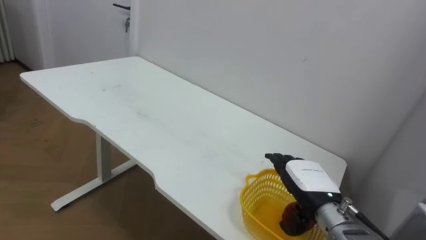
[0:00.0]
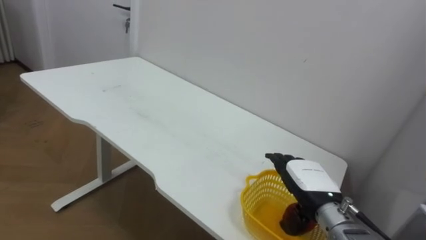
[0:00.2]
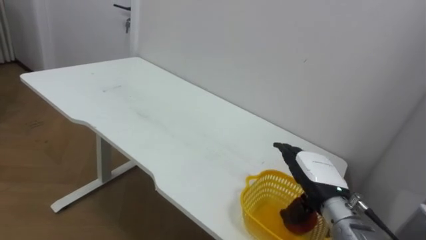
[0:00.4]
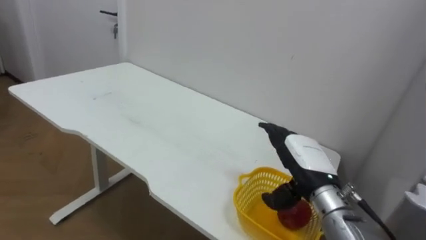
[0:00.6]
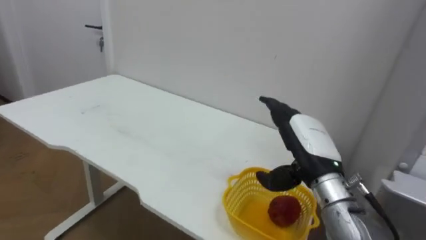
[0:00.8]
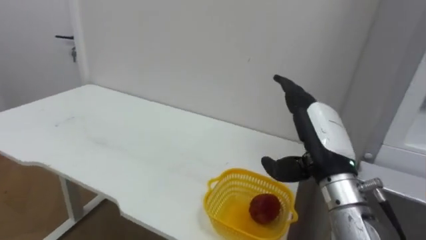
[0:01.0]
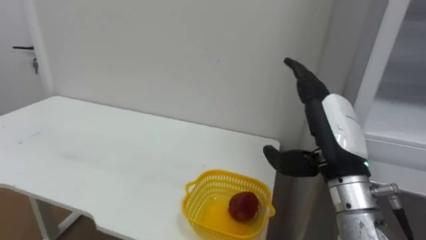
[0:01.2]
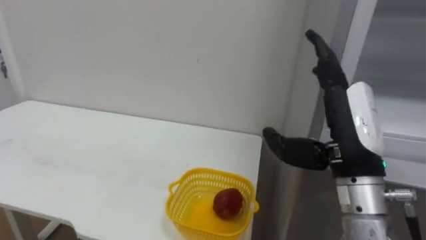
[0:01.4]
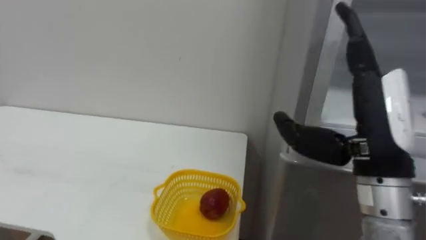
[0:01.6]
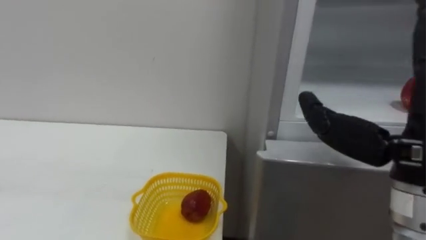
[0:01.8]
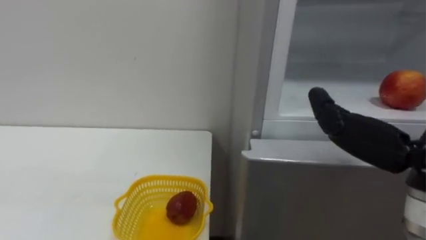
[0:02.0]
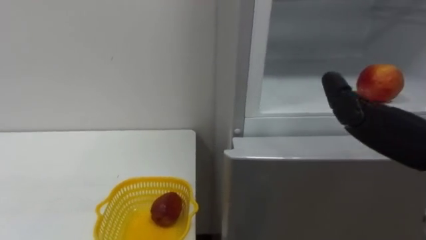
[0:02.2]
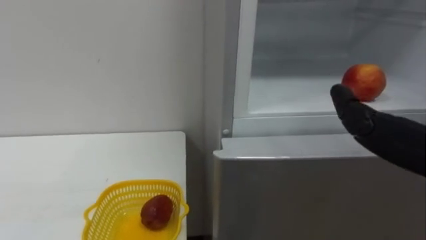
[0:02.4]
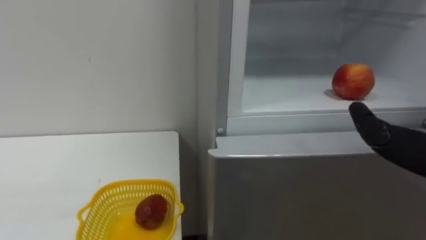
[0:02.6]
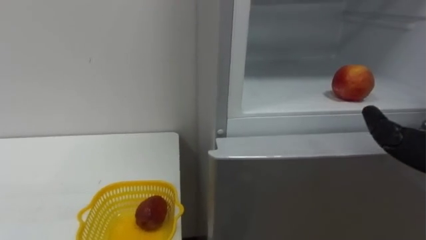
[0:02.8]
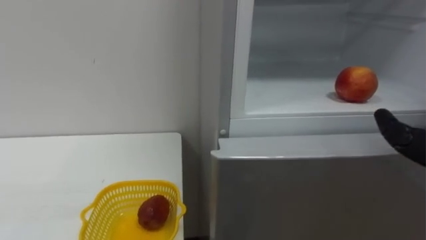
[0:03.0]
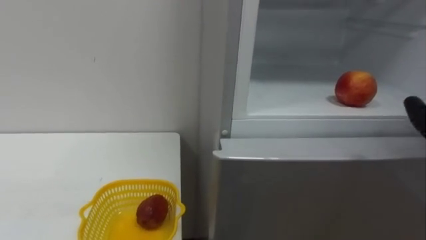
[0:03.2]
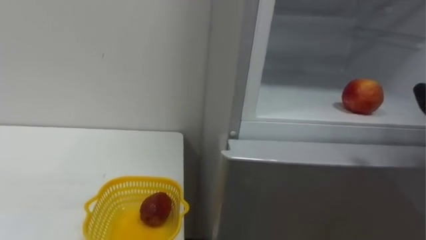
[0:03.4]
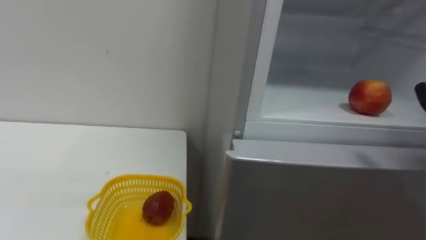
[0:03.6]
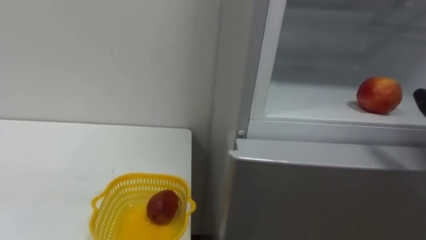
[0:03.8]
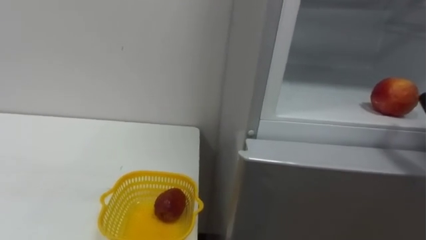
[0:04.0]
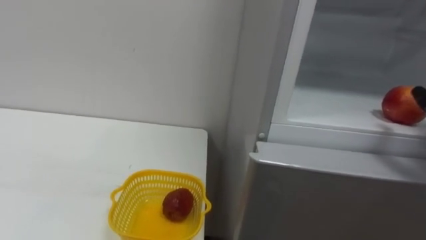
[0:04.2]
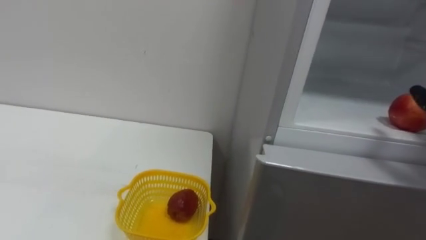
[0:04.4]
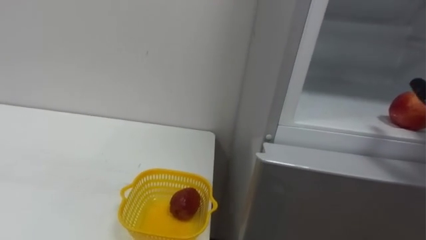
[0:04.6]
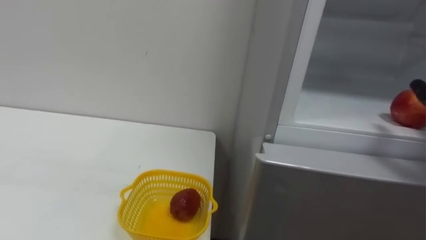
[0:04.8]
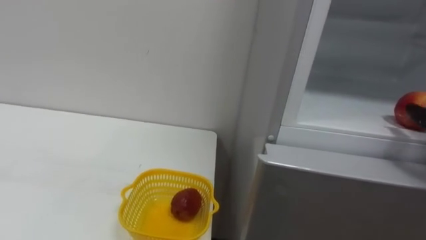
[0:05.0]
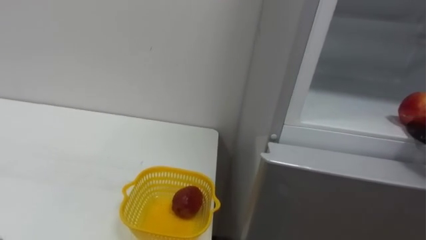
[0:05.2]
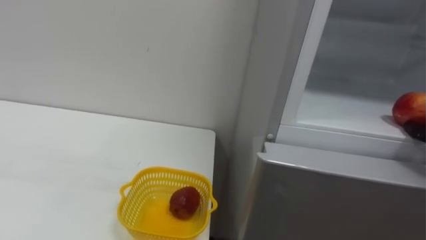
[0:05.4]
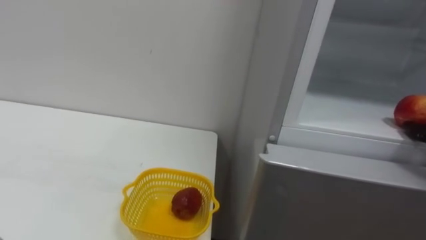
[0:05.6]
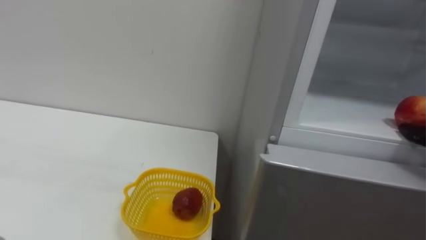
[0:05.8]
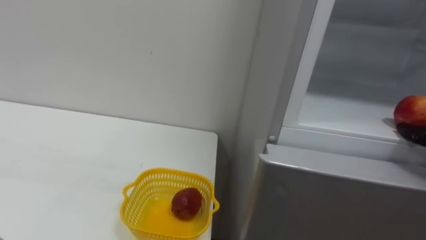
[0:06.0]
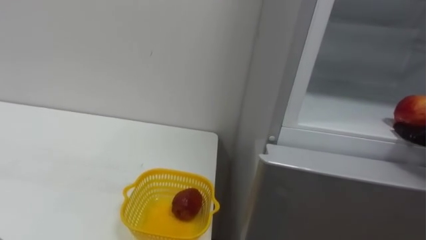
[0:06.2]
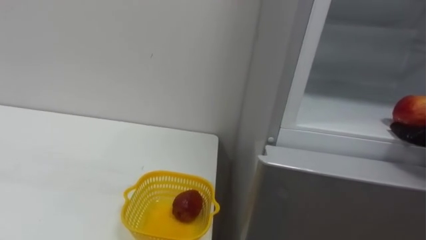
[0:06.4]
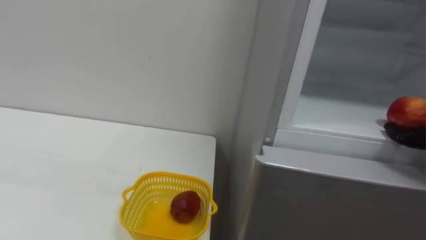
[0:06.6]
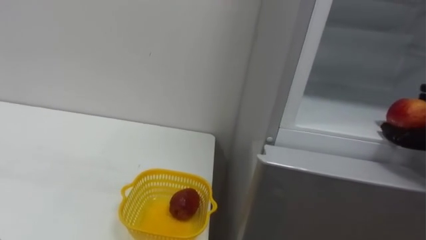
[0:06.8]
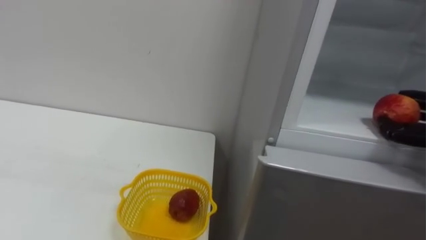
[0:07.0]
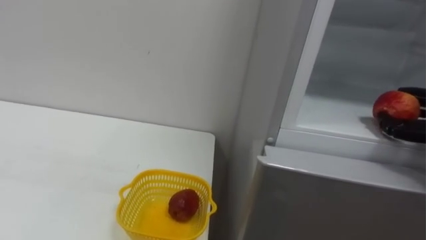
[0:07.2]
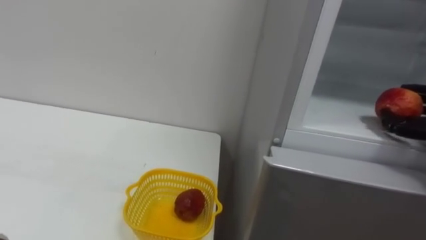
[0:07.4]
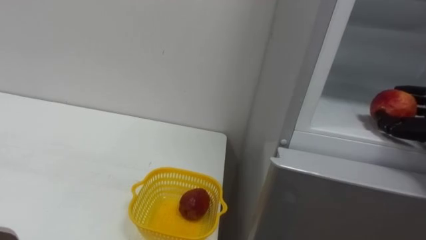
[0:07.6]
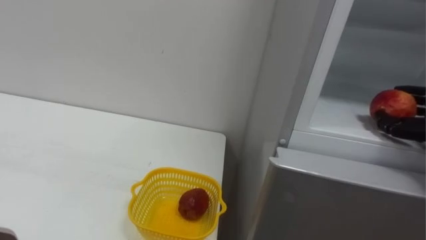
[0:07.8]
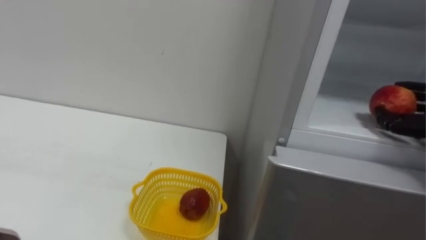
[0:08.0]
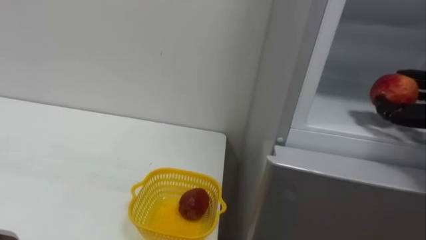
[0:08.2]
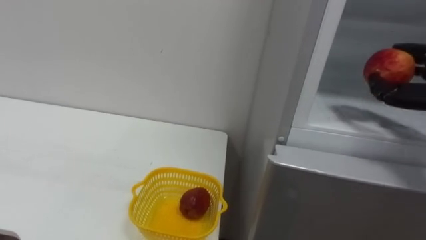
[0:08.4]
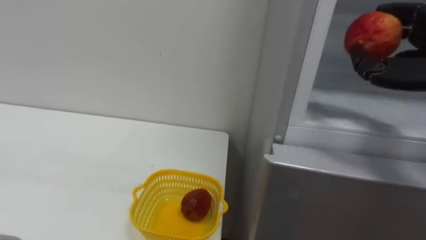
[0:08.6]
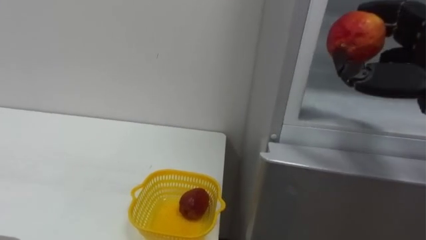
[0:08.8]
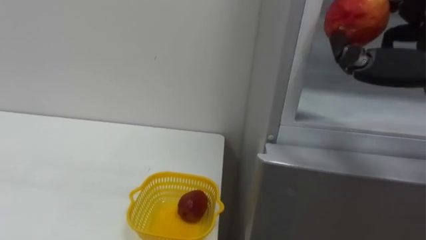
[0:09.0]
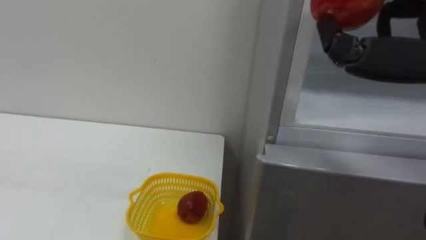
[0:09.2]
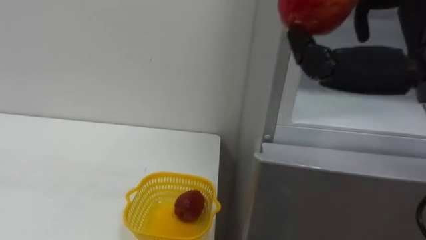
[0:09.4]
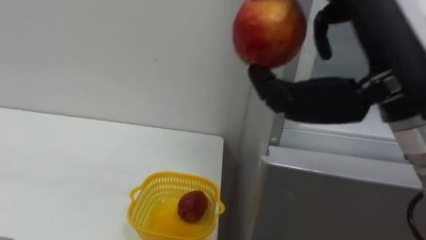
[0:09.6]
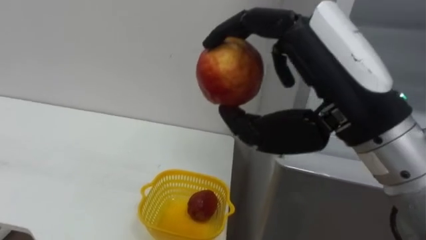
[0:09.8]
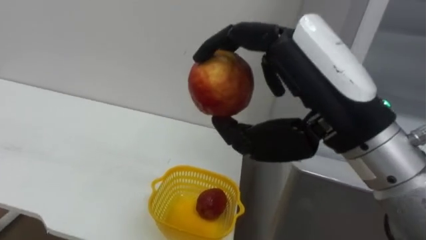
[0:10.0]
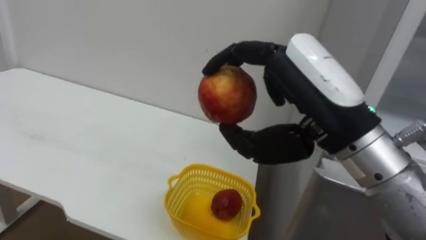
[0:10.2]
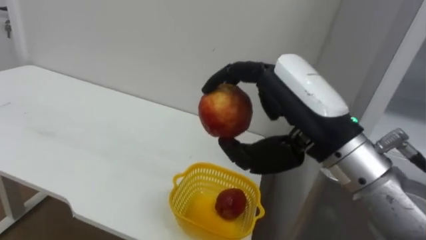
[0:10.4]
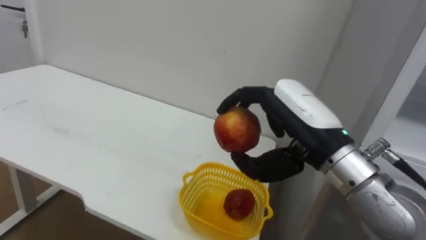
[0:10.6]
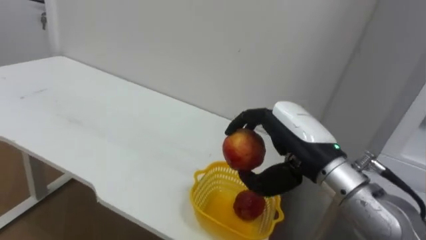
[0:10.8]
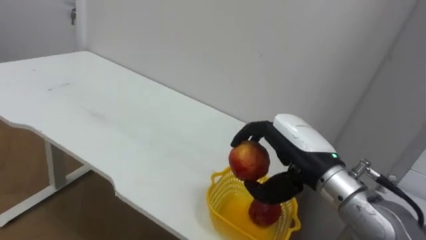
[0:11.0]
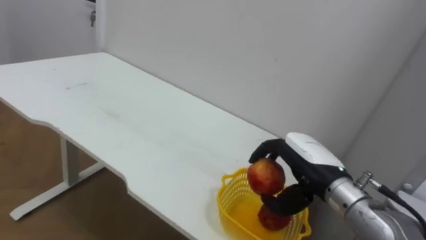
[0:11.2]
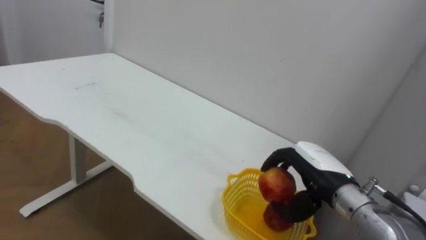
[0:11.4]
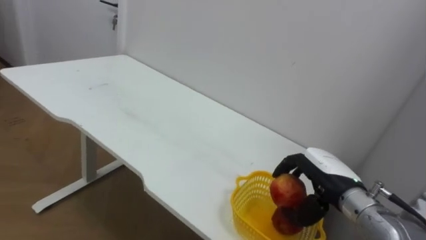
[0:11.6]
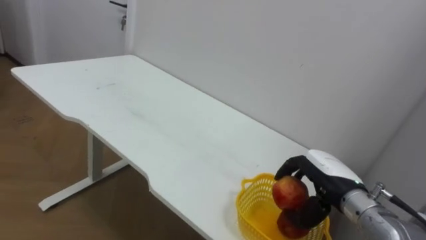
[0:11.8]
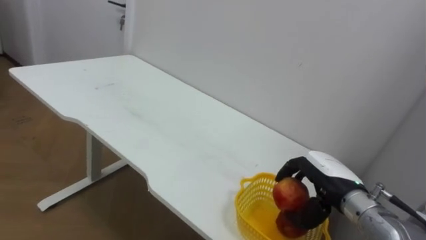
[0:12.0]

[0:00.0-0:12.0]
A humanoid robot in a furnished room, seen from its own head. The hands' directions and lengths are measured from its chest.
Task of the whole recording: Open the refrigerator door, take out the apple and the pomegranate, place them in the fruit basket on the left, and close the refrigerator door.
0:00.0 to 0:01.6: The right hand is displaced upward and backward by about 20 cm.
0:10.4 to 0:12.0: The right hand travels downward, to the right and forward by approximately 25 cm.

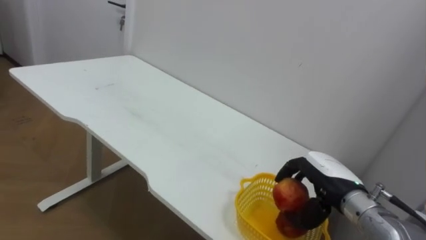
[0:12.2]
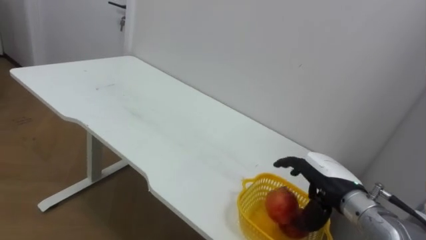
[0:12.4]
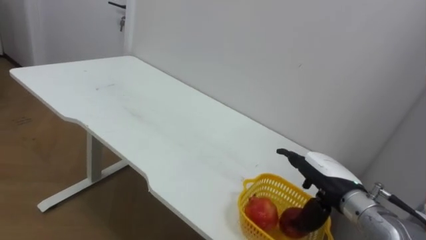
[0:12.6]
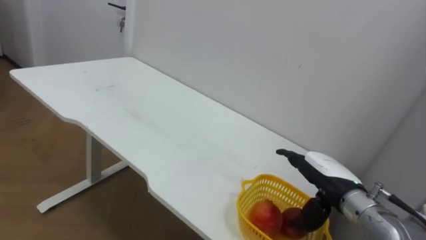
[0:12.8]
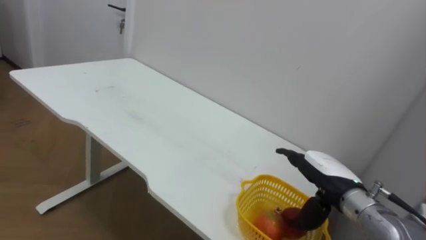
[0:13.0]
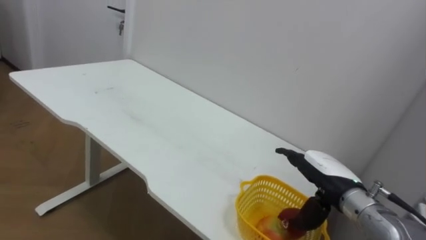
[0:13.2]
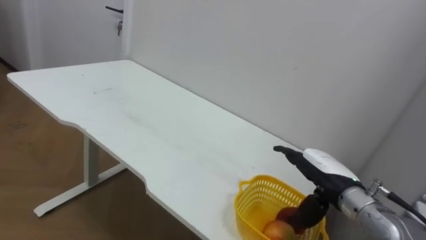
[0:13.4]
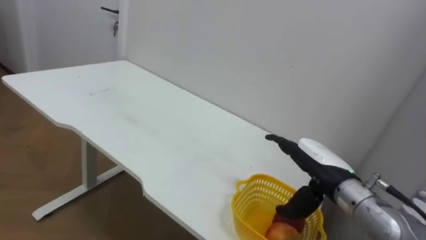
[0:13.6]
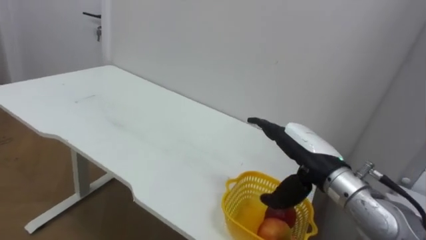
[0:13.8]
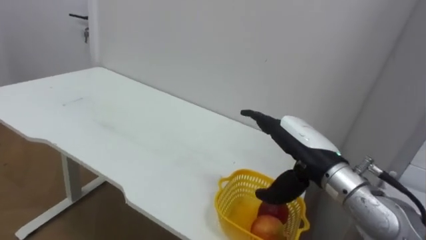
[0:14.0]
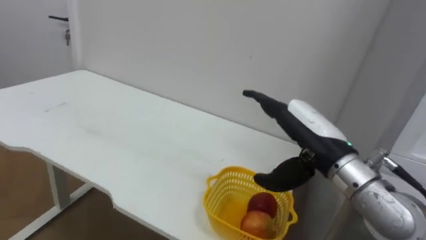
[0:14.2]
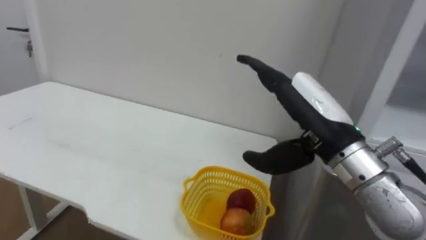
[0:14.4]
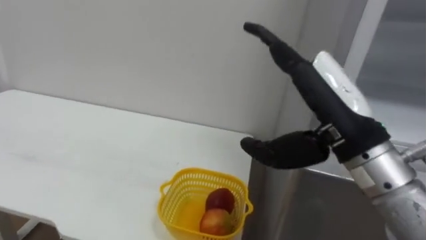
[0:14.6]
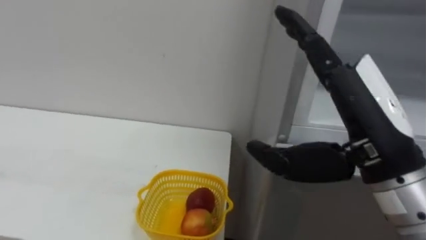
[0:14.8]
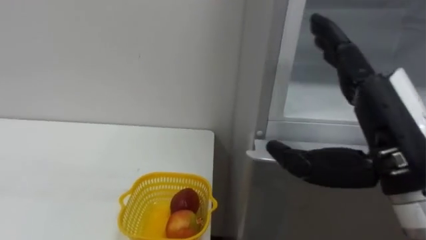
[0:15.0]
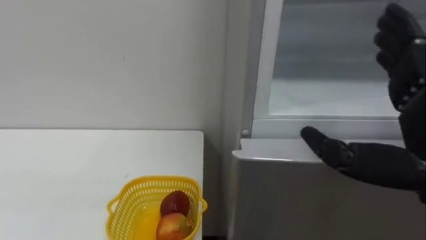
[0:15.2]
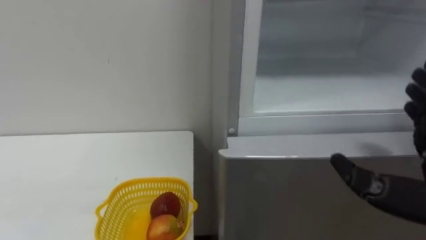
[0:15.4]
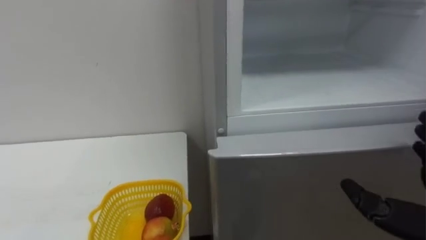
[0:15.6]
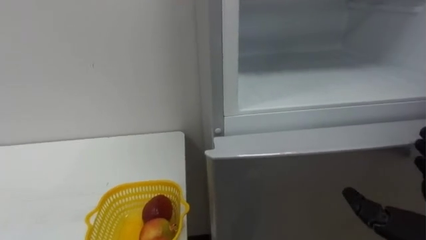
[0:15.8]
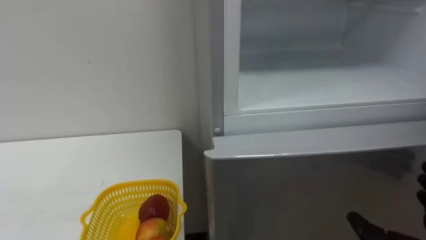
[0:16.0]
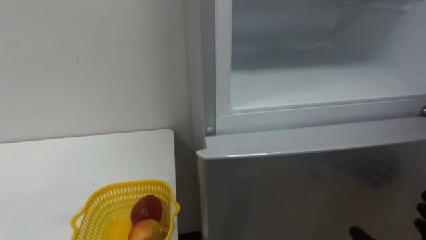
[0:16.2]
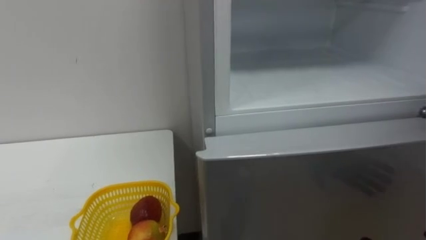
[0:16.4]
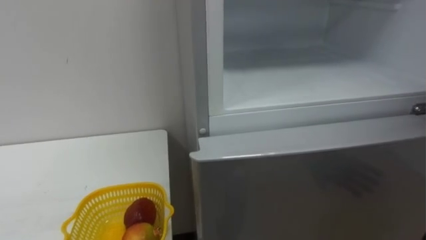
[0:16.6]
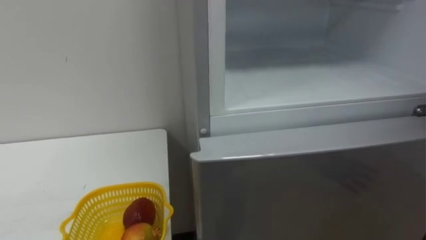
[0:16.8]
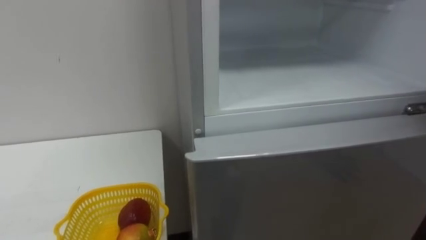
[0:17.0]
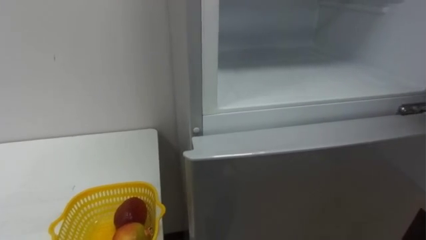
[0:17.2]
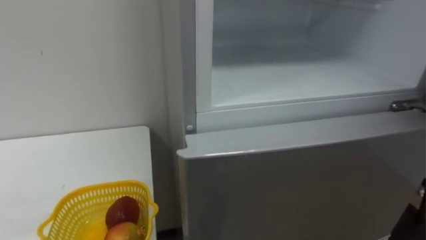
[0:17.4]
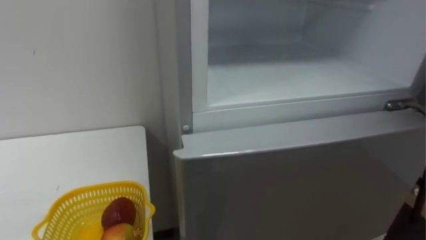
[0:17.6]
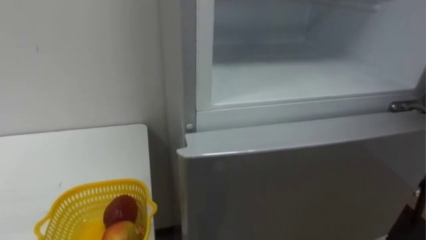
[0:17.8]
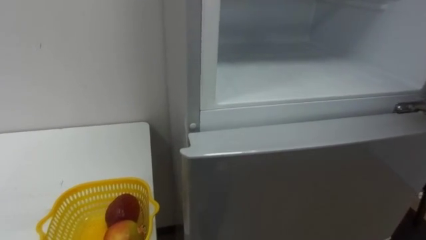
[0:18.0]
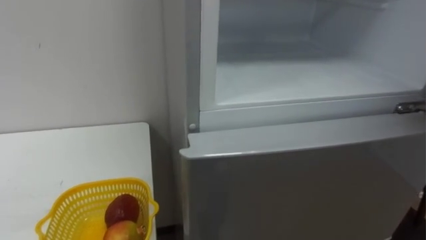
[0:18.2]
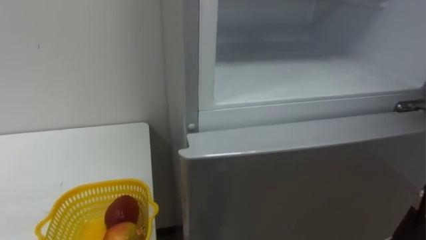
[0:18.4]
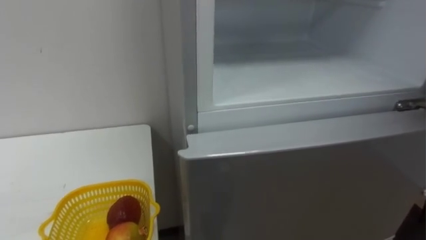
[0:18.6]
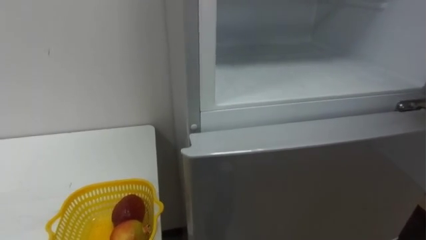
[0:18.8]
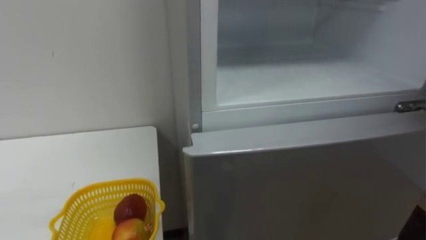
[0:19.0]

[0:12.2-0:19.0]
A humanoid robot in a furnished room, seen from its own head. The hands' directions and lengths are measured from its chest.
Task of the whole recording: Open the refrigerator door, take out the apple and the pomegranate, place them in the fruit basket on the left, and close the refrigerator door.
0:12.2 to 0:13.6: The right hand opens up.
0:13.6 to 0:15.0: The right hand shifts approximately 20 cm upward and backward.
